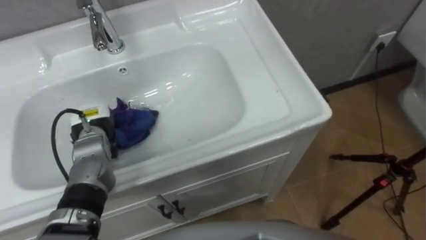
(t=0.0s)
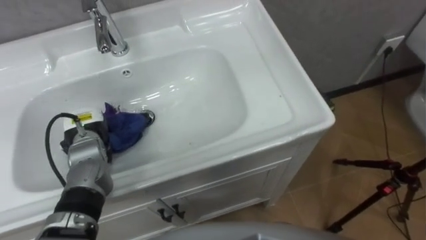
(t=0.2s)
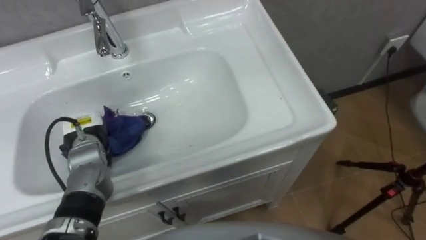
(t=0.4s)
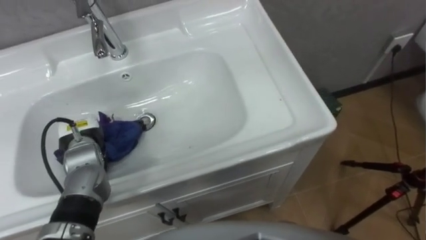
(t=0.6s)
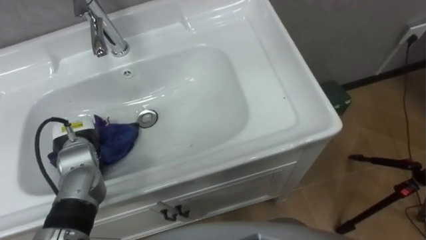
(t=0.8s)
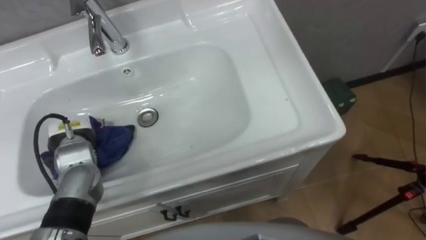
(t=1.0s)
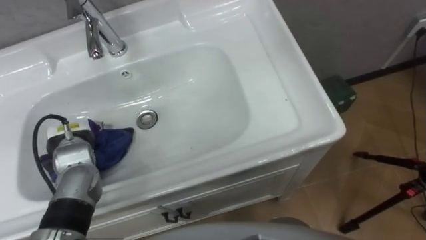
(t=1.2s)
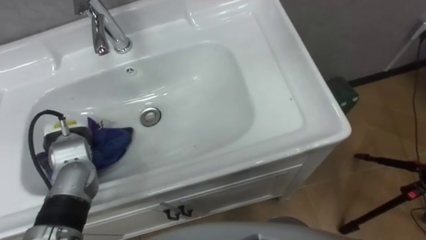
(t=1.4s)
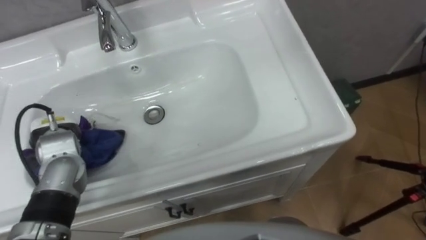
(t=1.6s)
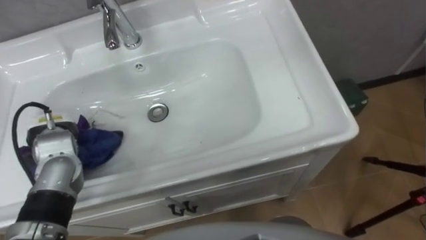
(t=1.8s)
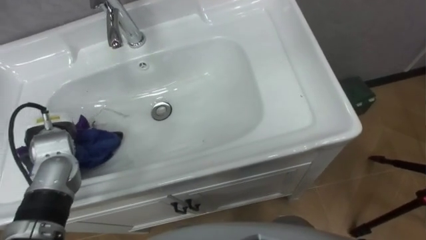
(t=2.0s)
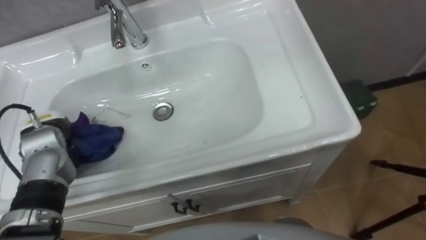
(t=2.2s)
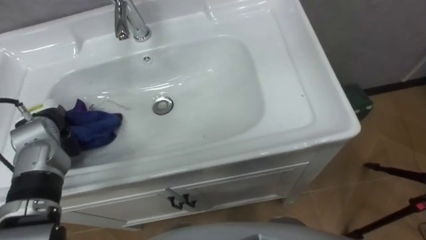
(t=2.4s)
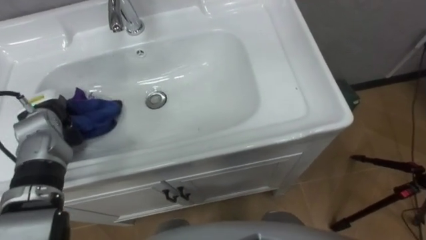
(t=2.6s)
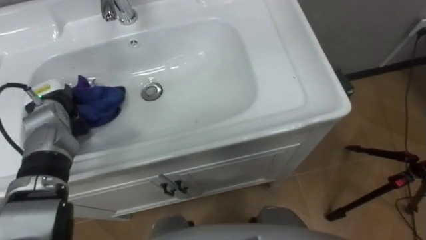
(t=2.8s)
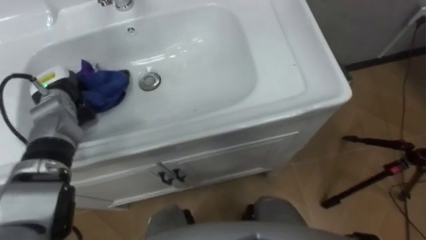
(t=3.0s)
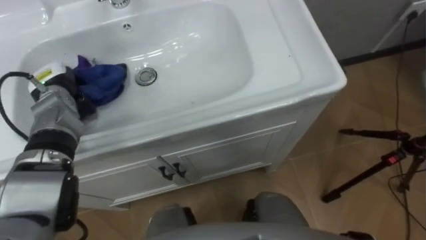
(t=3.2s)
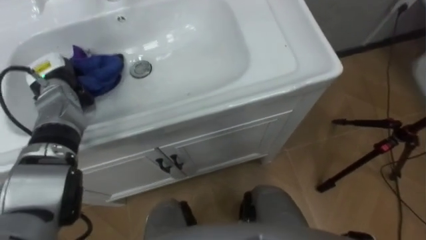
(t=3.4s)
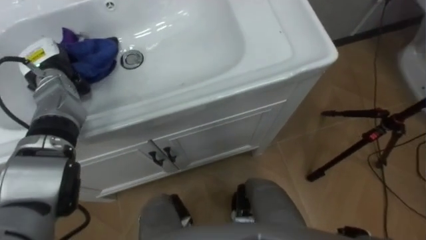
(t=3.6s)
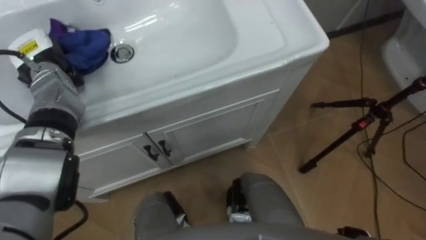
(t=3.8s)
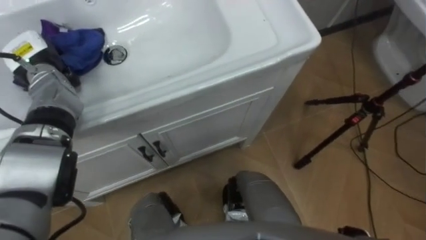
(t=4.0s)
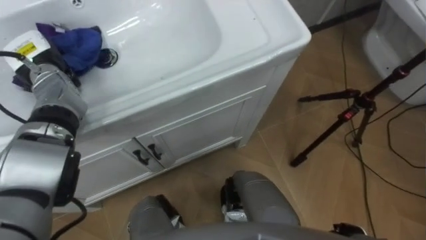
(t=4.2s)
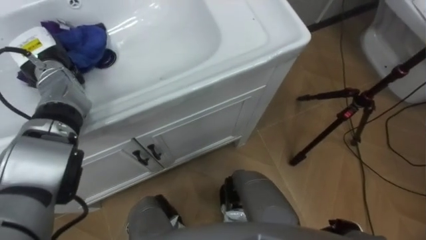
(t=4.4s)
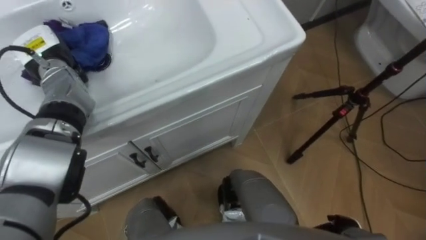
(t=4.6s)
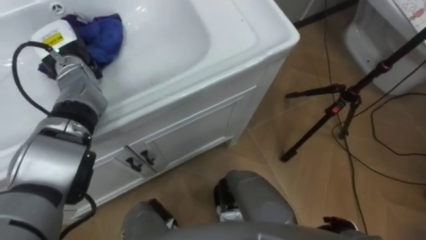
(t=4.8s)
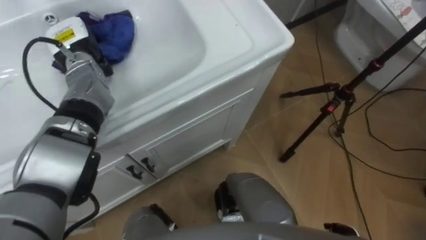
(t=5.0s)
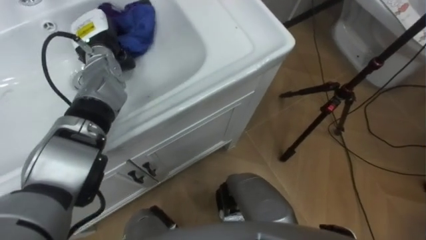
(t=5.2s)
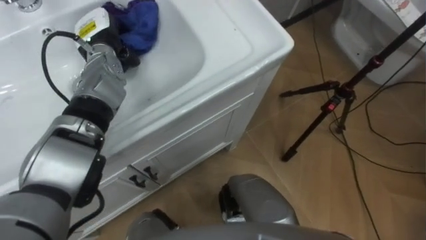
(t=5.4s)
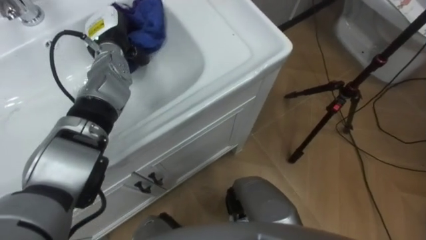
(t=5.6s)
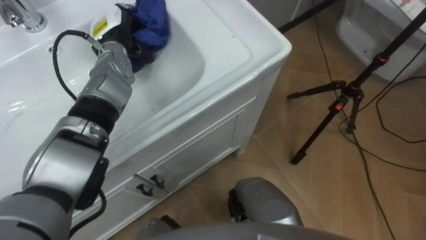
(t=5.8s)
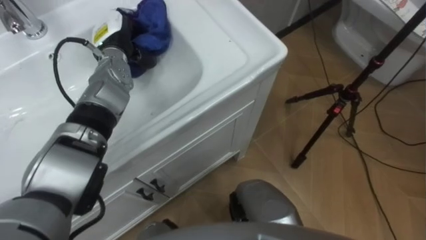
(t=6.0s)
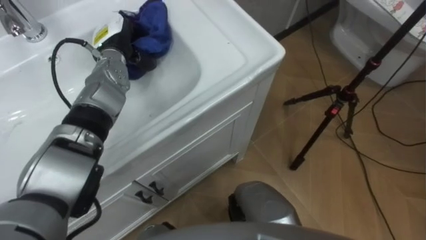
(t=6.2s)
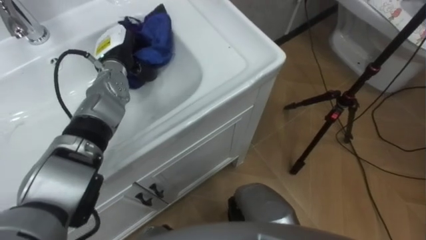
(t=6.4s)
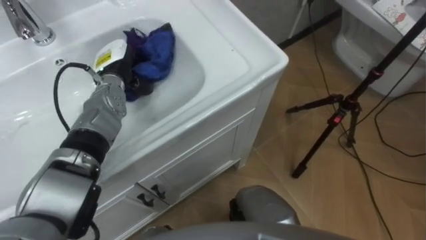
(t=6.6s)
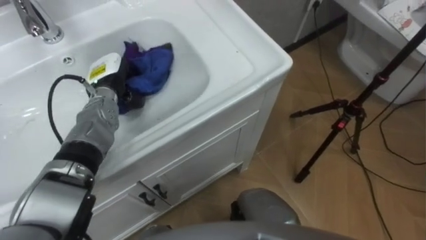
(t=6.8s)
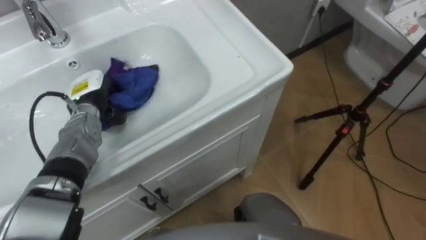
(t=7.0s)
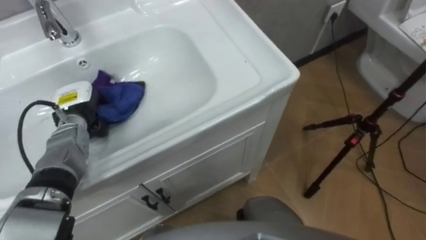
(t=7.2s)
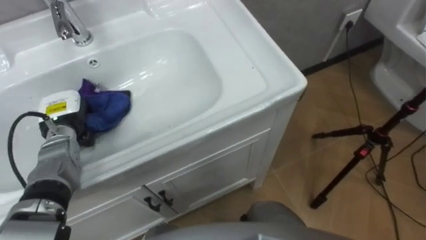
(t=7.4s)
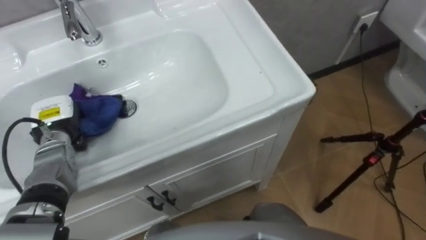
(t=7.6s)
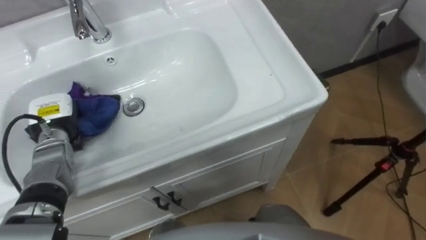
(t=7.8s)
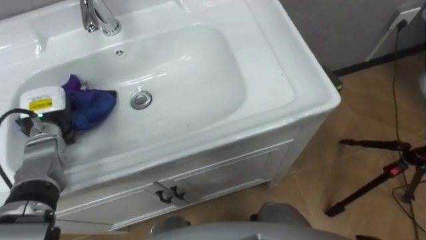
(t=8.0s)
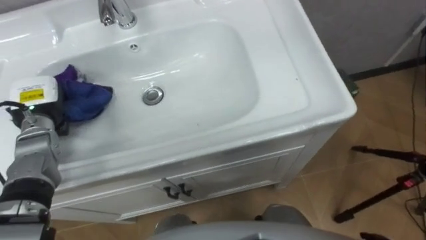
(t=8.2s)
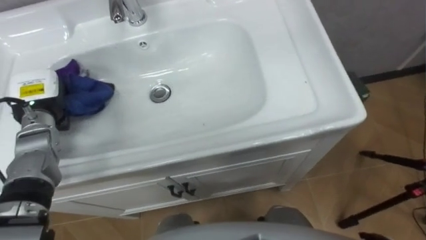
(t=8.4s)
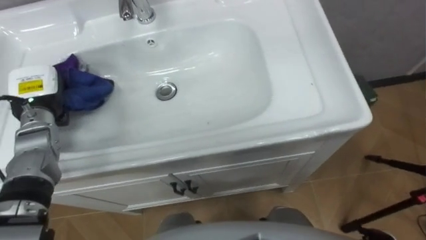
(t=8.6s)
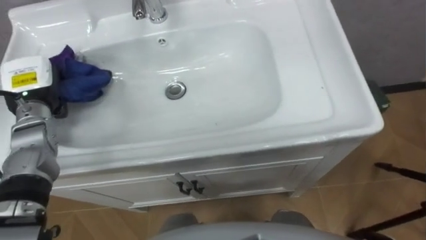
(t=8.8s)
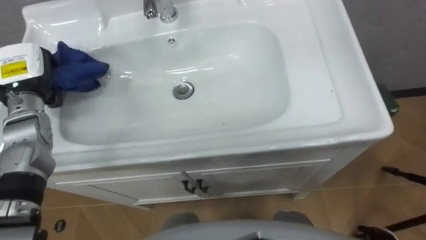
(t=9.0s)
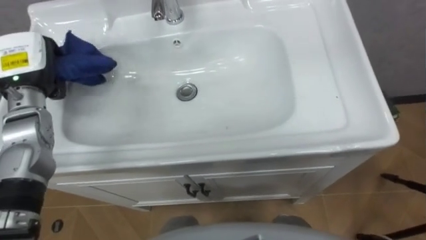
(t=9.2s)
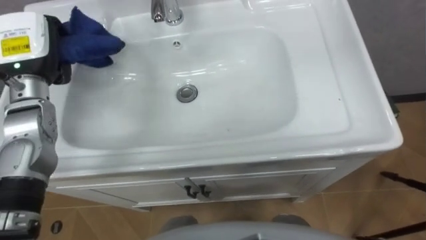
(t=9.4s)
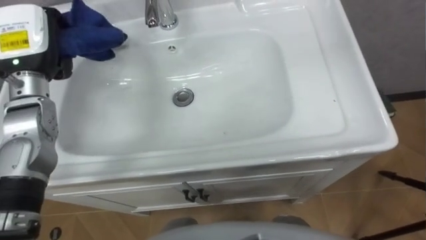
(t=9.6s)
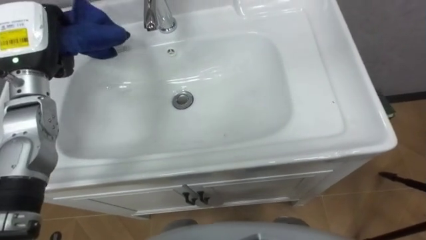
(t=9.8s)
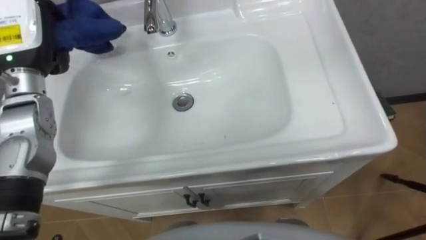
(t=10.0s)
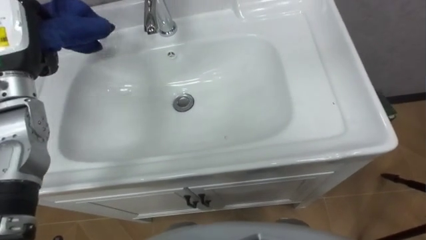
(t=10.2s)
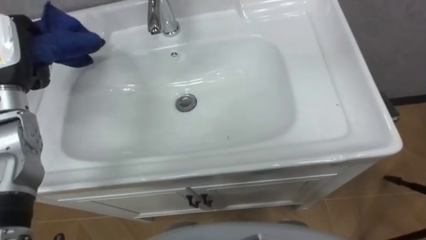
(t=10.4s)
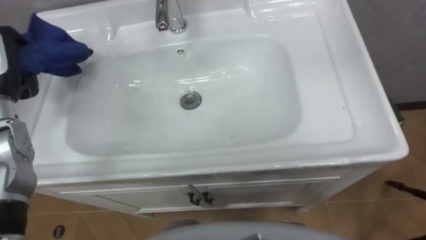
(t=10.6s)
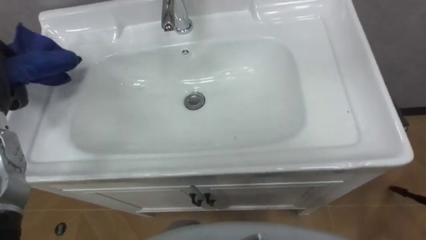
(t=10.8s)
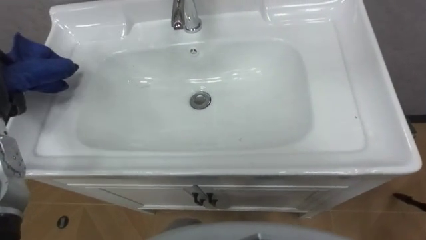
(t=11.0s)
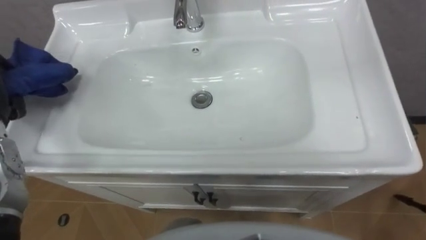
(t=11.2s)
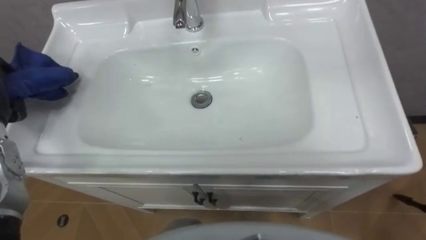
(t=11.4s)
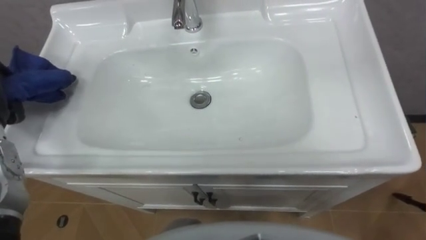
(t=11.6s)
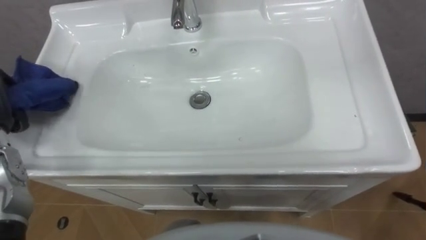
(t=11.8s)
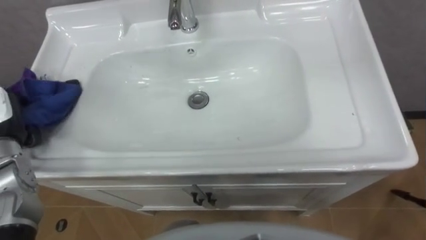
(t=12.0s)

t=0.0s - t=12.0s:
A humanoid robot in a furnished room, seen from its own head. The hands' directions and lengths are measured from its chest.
Task of the whole recording: Use the cloth on the right to wipe away the black stain in the sink.
t=0.0s - t=1.6s: The left hand goes about 5 cm to the left.
t=1.6s - t=3.0s: The left hand goes approximately 10 cm forward.
t=3.0s - t=4.4s: The left hand heads upward, covering about 5 cm.
t=4.4s - t=6.0s: The left hand shifts some 15 cm to the right.
t=6.0s - t=7.6s: The left hand shifts approximately 20 cm to the left, backward and downward.
t=7.6s - t=9.0s: The left hand travels upward by approximately 10 cm.
